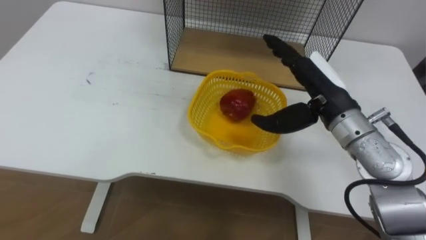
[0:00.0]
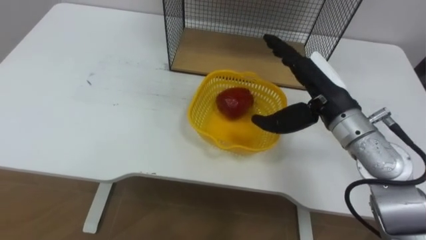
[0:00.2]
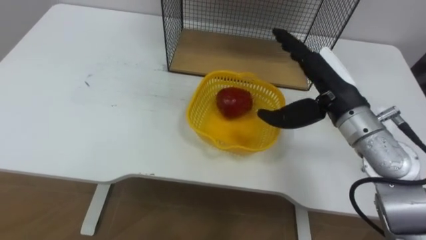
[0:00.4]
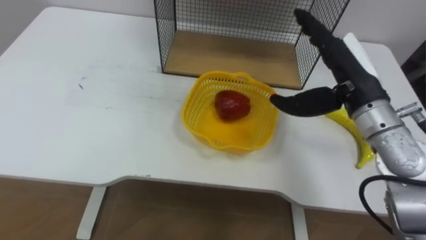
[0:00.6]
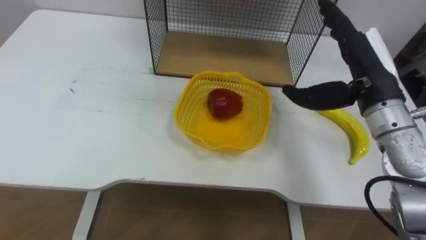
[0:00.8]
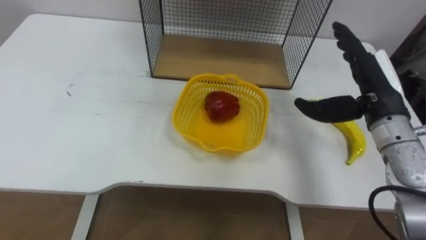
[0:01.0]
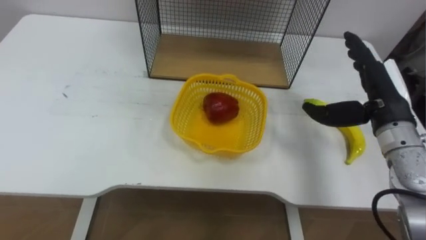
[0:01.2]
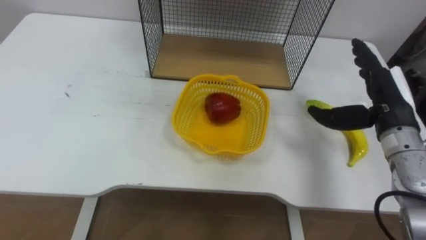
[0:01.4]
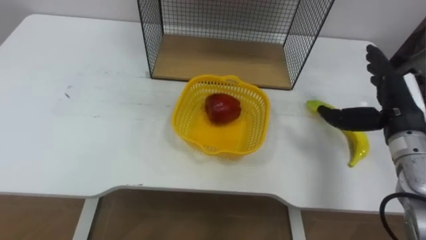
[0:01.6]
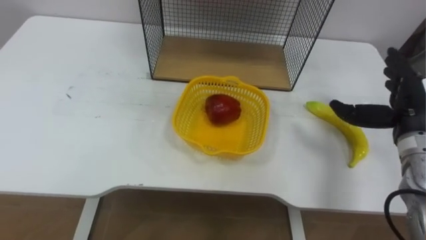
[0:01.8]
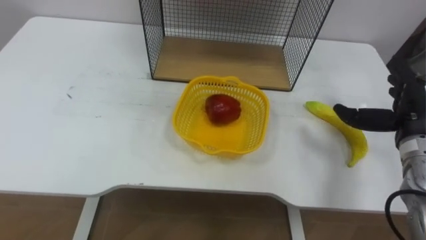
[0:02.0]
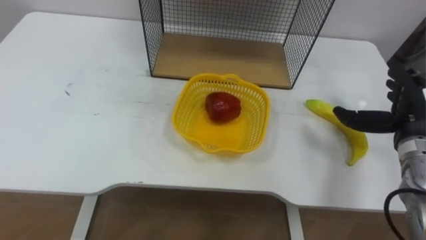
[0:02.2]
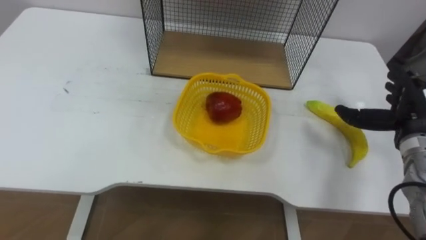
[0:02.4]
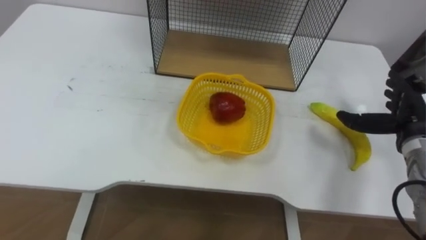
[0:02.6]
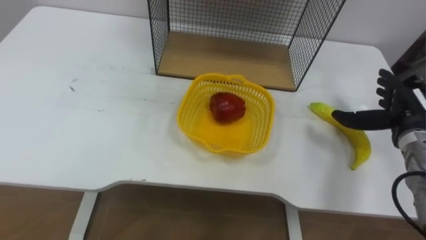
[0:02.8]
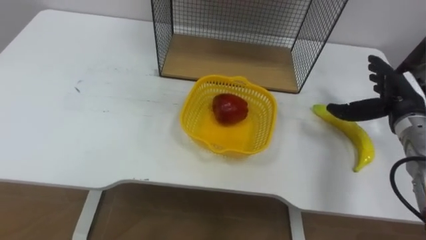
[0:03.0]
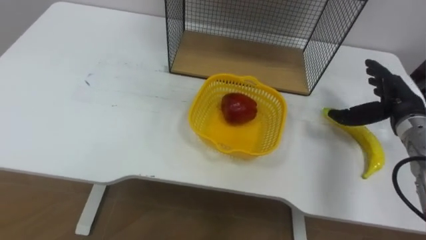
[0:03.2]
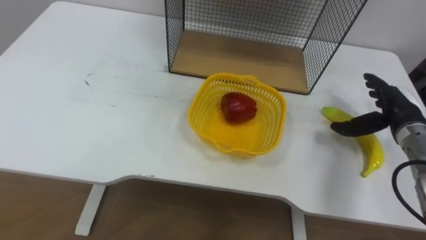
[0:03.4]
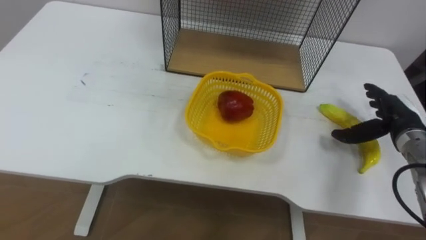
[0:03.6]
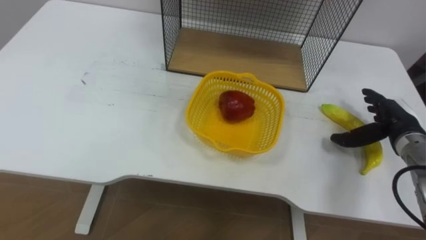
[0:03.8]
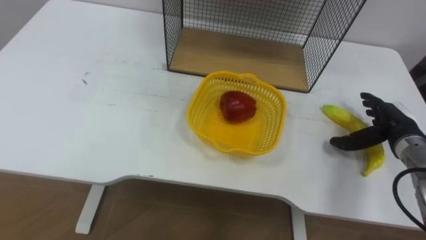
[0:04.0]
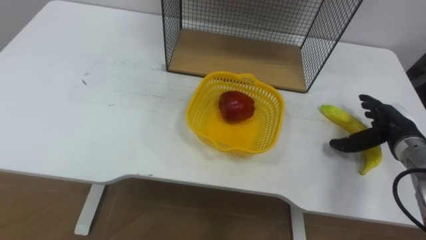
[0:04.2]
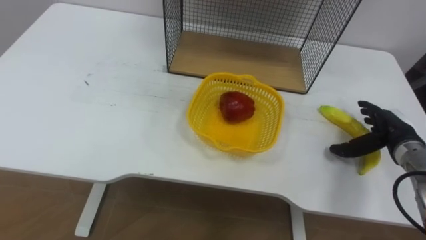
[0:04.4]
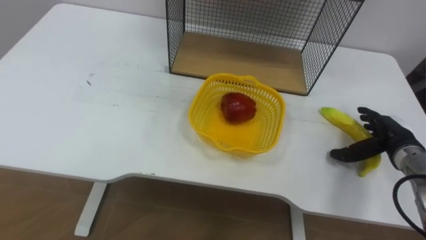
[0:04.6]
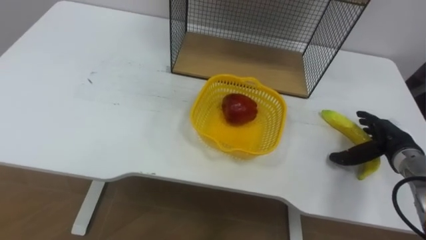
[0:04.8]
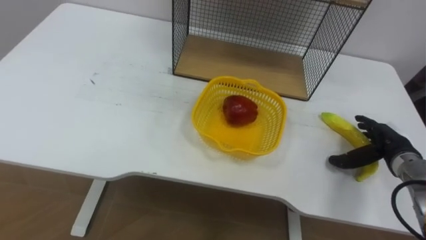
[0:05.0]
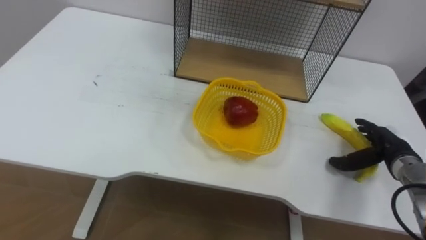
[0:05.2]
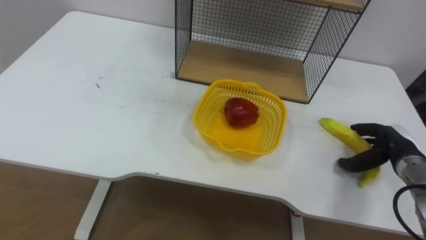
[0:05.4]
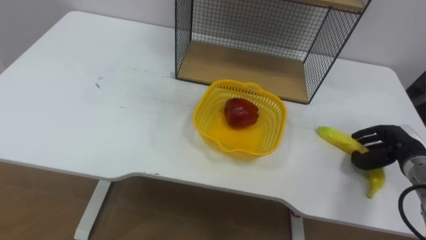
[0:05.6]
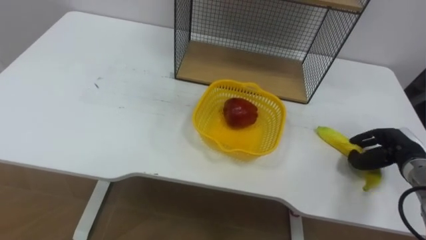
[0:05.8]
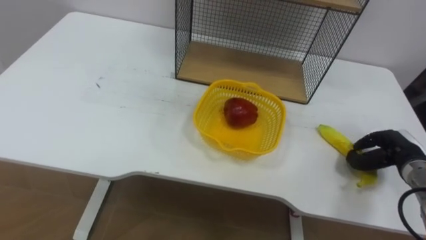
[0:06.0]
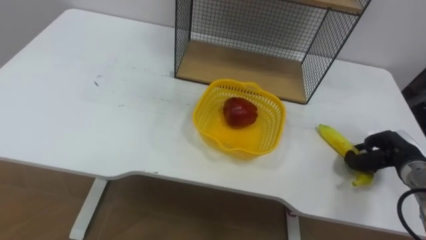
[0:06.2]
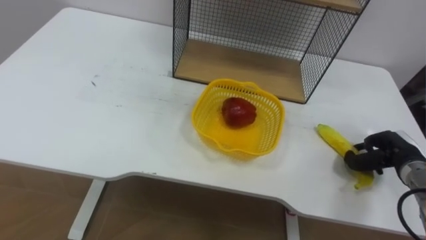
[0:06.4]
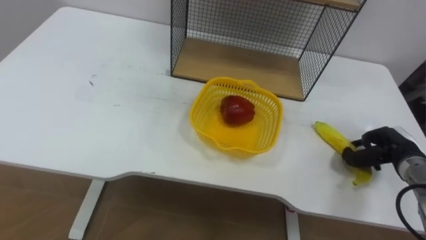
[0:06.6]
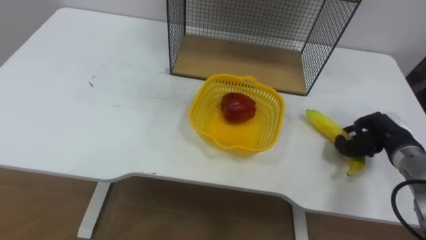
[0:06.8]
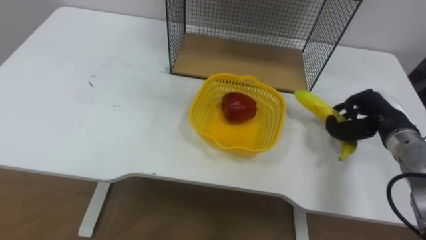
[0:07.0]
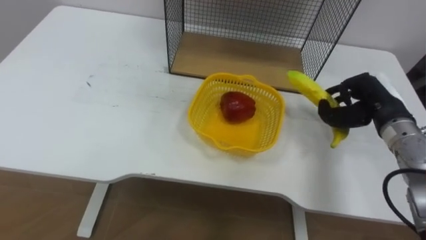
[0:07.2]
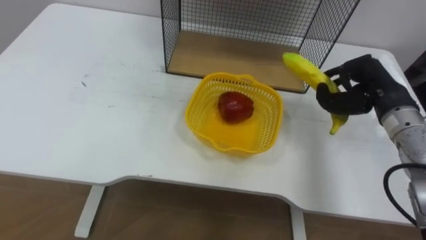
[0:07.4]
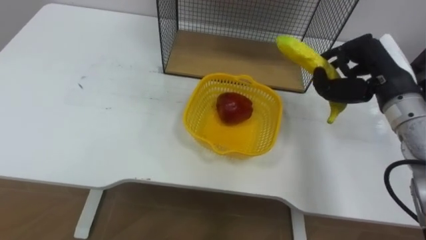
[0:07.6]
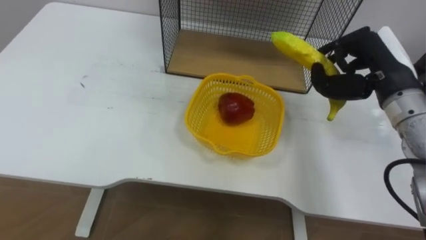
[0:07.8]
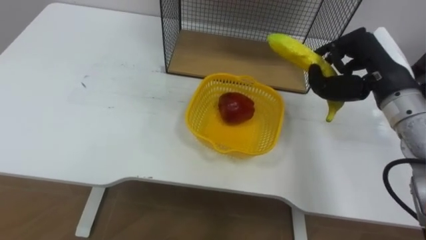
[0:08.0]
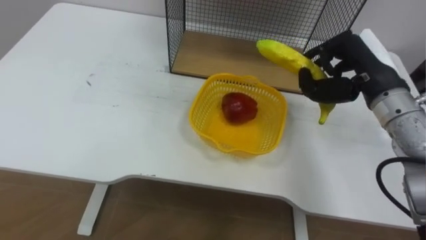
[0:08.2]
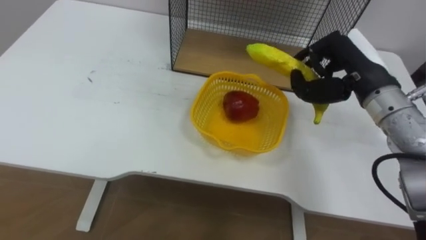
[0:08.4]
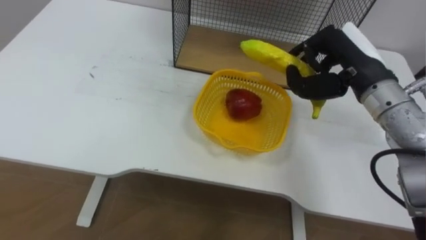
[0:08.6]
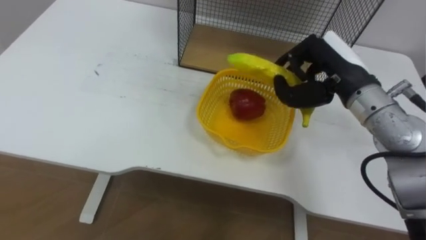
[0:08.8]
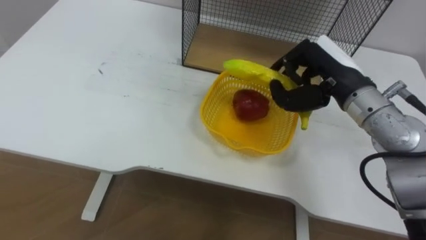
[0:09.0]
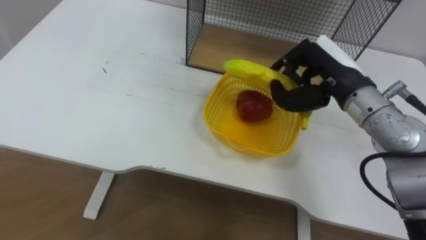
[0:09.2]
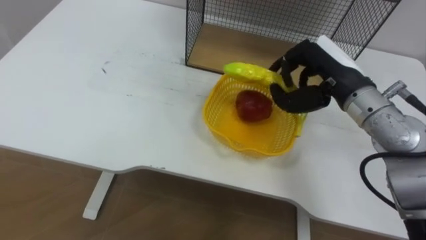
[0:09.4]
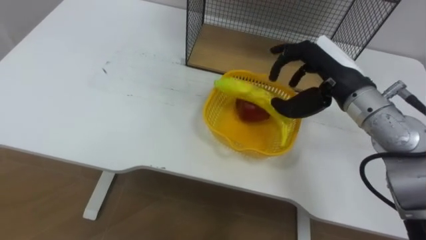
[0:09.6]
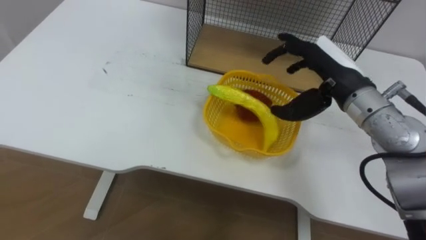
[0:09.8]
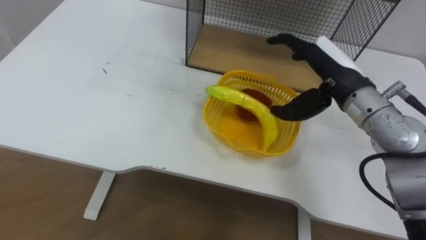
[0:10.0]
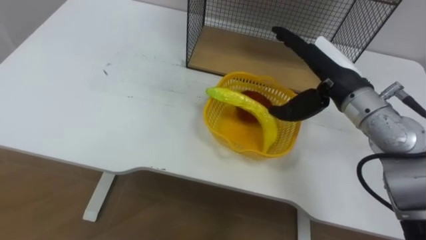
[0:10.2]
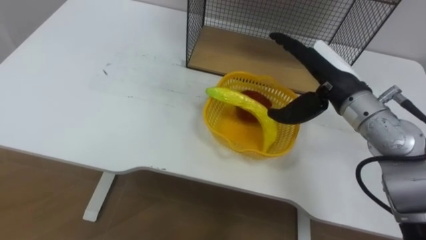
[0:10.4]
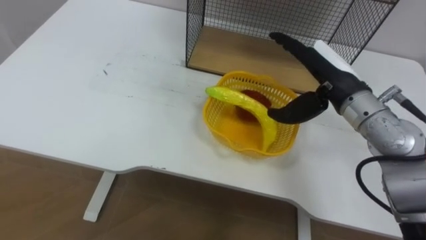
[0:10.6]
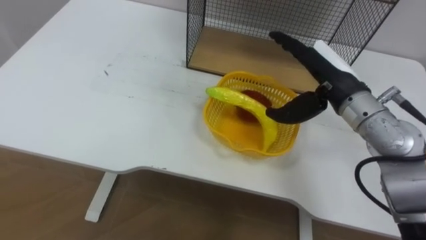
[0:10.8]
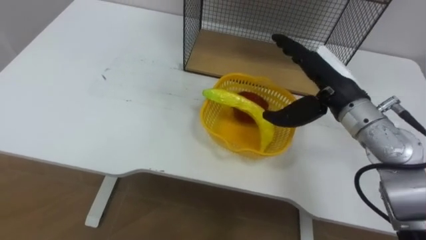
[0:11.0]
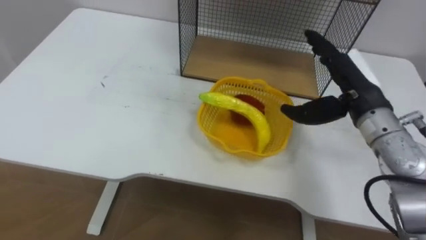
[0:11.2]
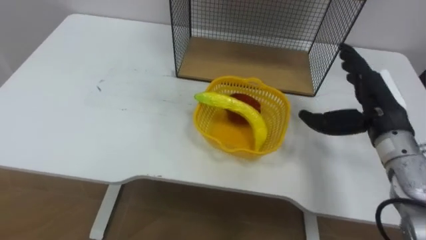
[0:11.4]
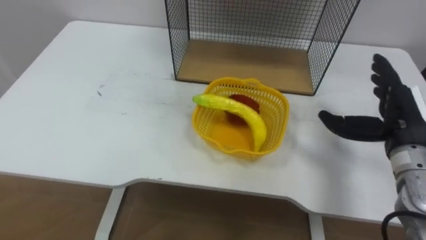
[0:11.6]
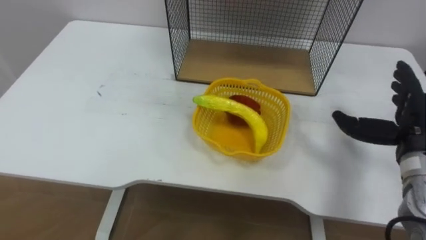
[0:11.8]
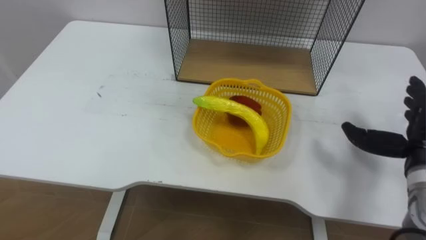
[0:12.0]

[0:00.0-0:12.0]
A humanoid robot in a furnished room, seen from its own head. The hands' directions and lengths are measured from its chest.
Task of the whole recording: Put the fruit on the table into the basket, then place the basket on the shelf.
0:00.0 to 0:01.6: The right hand moves to the right, about 15 cm.
0:01.6 to 0:03.0: The right hand changes place by some 5 cm.
0:03.0 to 0:04.4: The right hand is displaced downward by approximately 5 cm.
0:04.4 to 0:06.0: The right hand changes place by some 5 cm, and closes.
0:06.0 to 0:07.6: The right hand goes some 20 cm upward and to the left.
0:07.6 to 0:09.0: The right hand heads to the left, covering roughly 10 cm.
0:09.0 to 0:10.4: The right hand opens.
0:10.4 to 0:12.0: The right hand goes some 20 cm to the right, backward and downward.

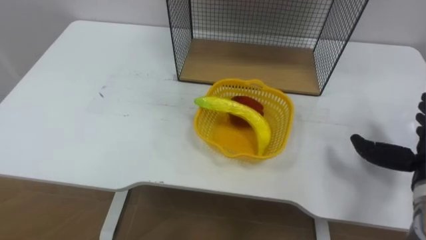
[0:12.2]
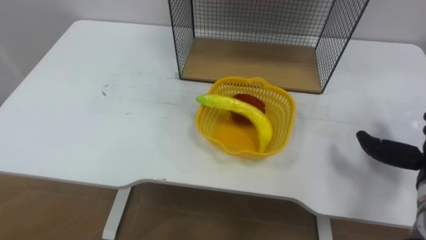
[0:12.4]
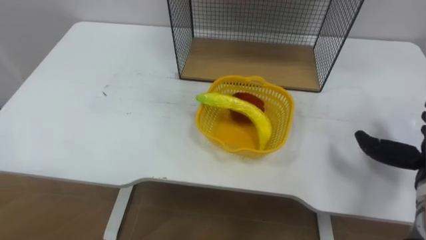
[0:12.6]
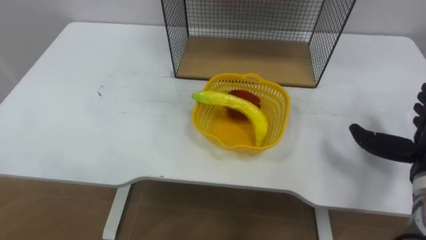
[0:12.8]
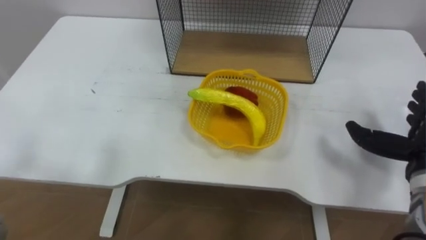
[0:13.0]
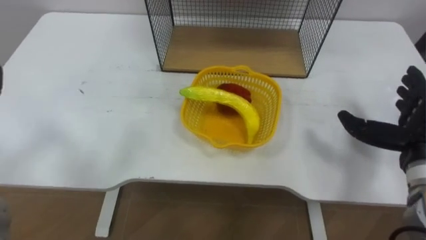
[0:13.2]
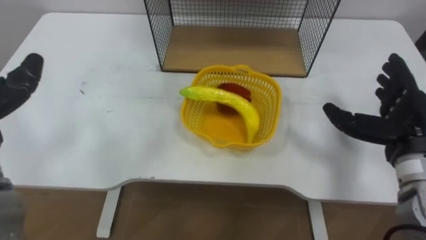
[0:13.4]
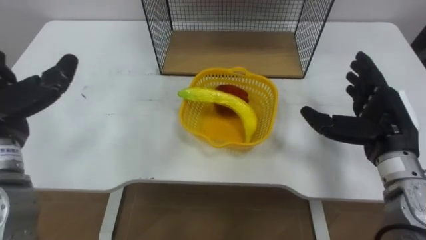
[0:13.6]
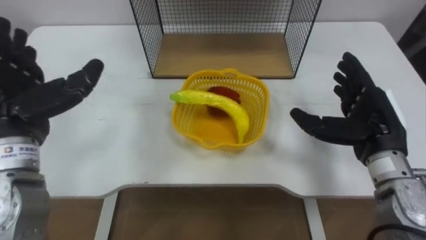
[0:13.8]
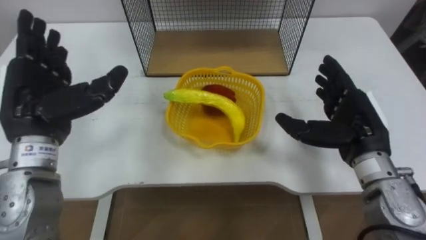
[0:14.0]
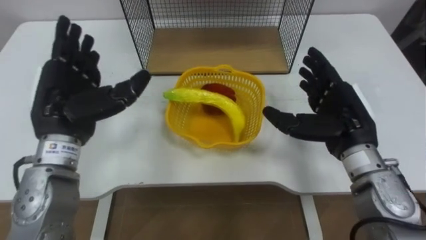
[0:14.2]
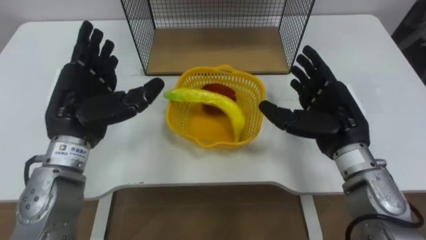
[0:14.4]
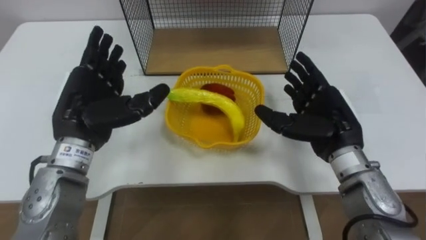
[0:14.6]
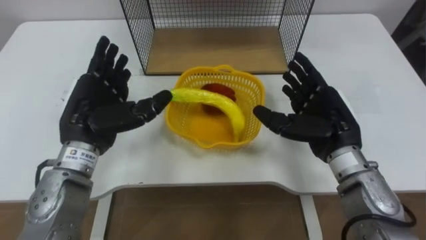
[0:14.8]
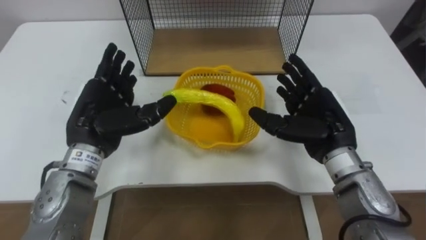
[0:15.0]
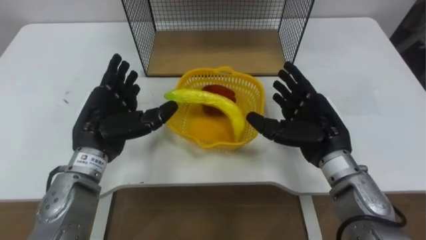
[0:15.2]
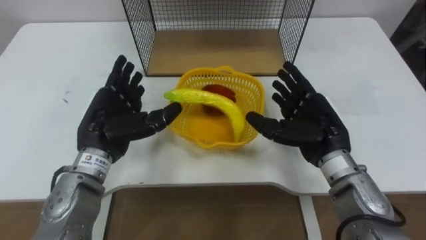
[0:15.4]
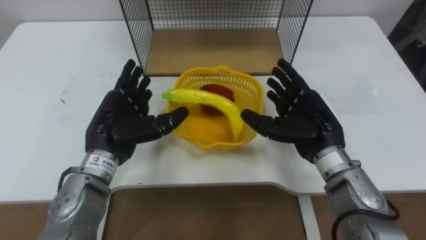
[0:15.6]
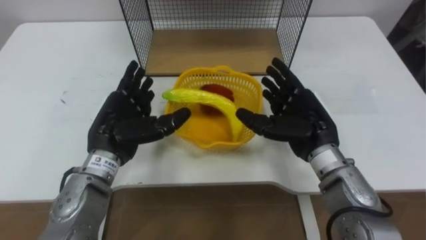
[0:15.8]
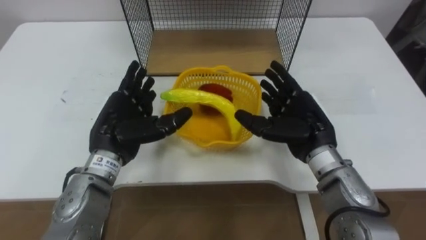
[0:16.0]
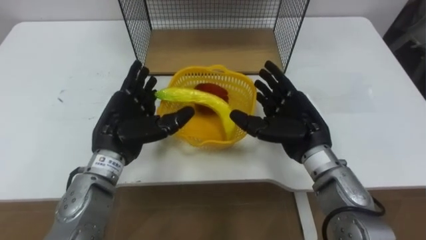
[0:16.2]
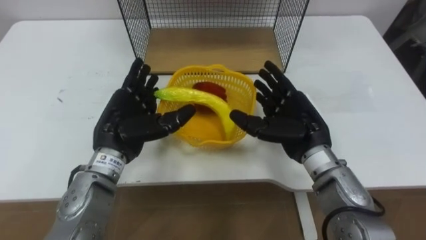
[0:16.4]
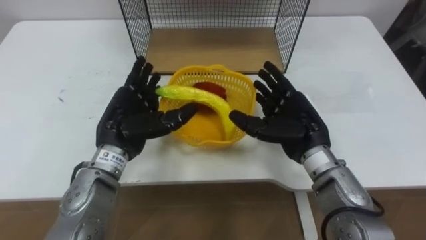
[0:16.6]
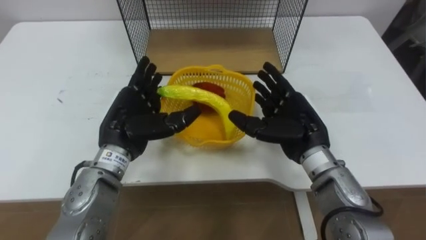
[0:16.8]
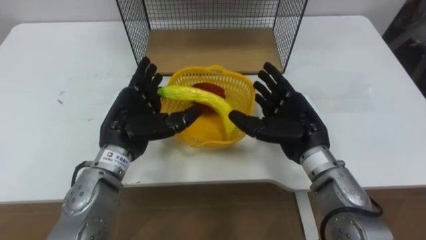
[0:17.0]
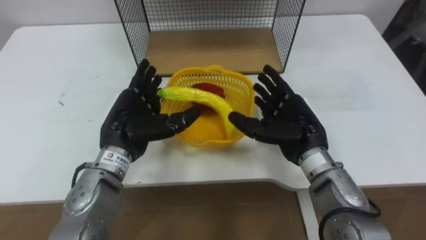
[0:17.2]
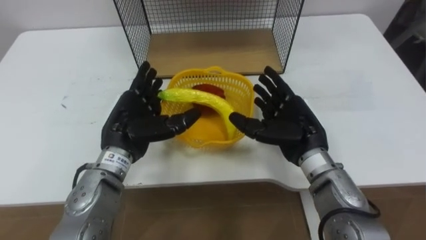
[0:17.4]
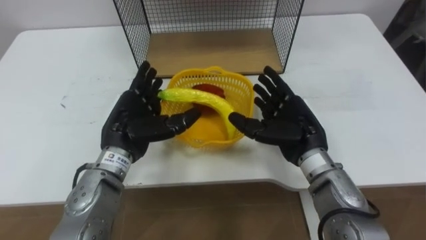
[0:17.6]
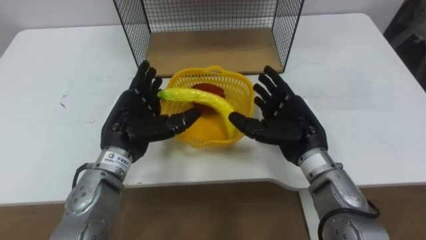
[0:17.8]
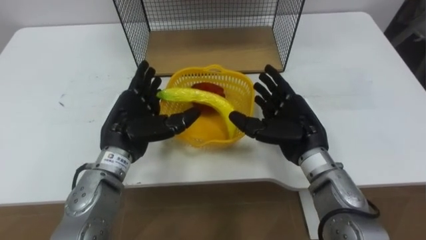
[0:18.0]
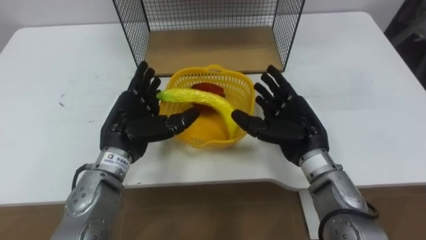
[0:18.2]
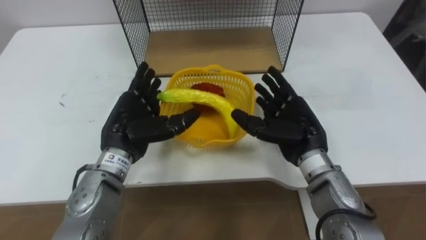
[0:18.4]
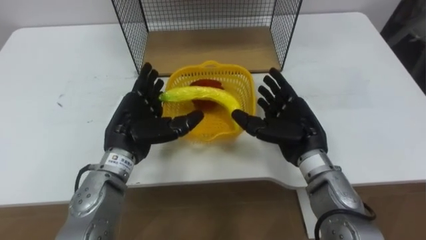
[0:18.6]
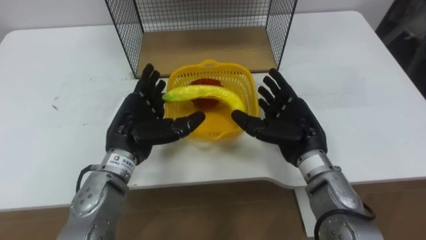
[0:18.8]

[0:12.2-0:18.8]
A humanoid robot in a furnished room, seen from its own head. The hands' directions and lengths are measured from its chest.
Task of the whole recording: Put the fruit on the table into the basket, then place the basket on the shelf.
0:13.8 to 0:15.4: The right hand shifts approximately 10 cm to the left, while the left hand moves to the right and downward, about 10 cm.
0:17.2 to 0:18.8: Neither hand changes place.
